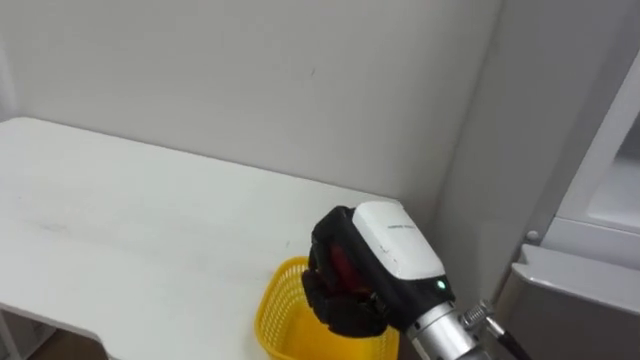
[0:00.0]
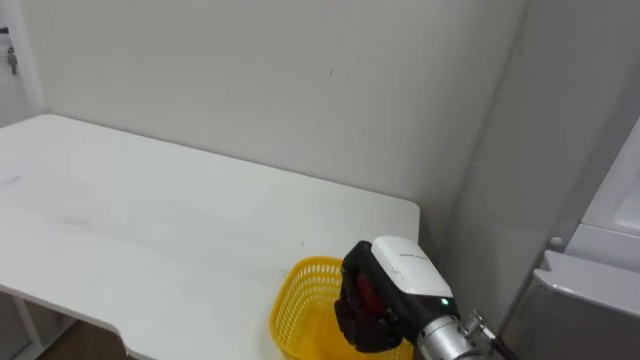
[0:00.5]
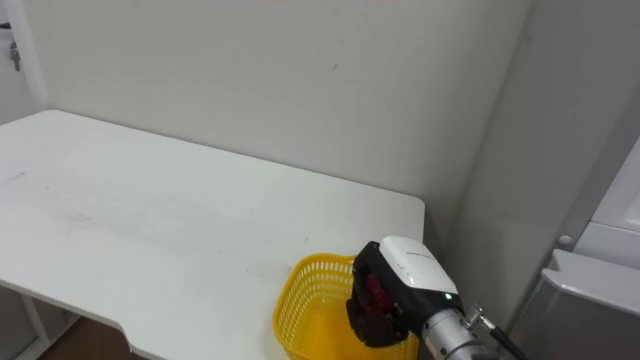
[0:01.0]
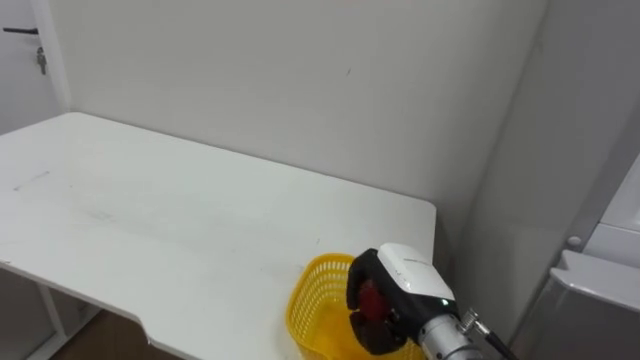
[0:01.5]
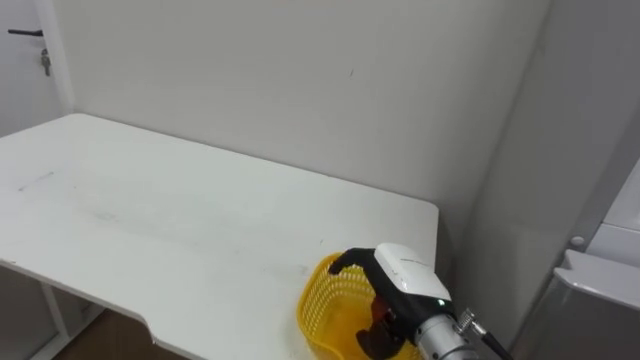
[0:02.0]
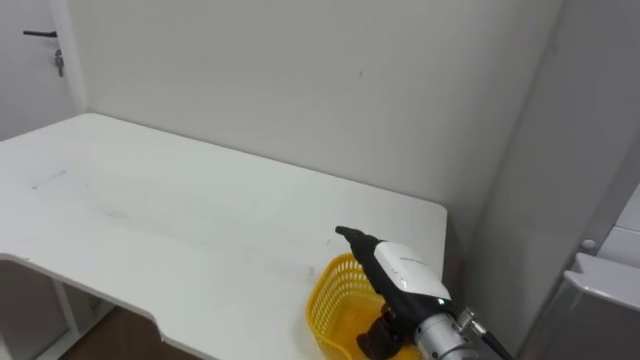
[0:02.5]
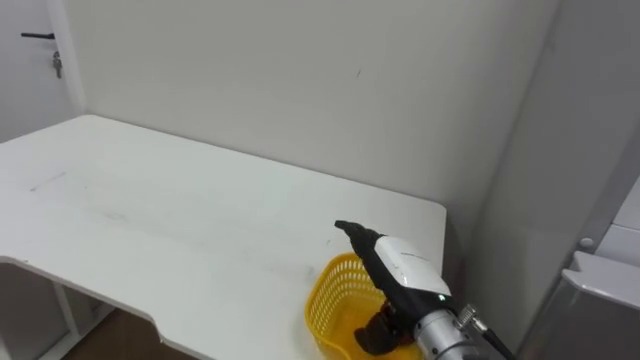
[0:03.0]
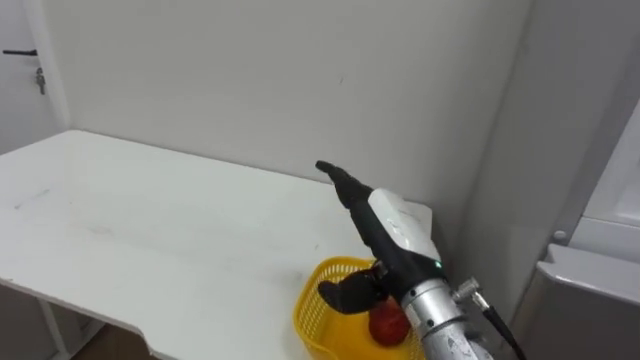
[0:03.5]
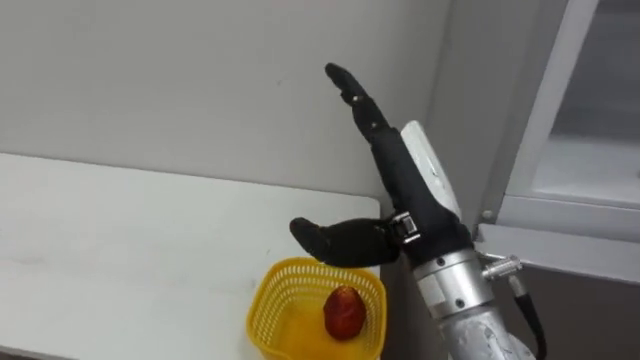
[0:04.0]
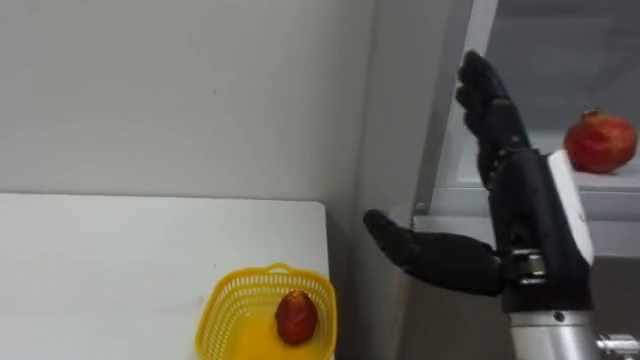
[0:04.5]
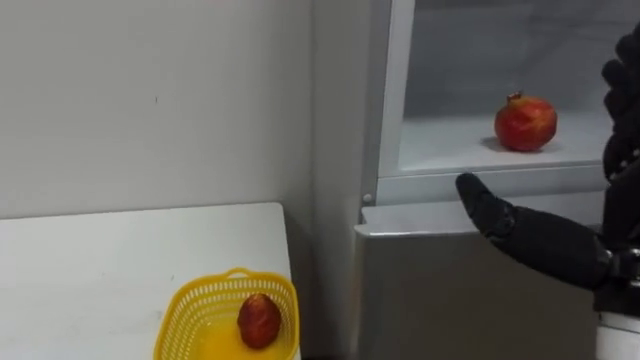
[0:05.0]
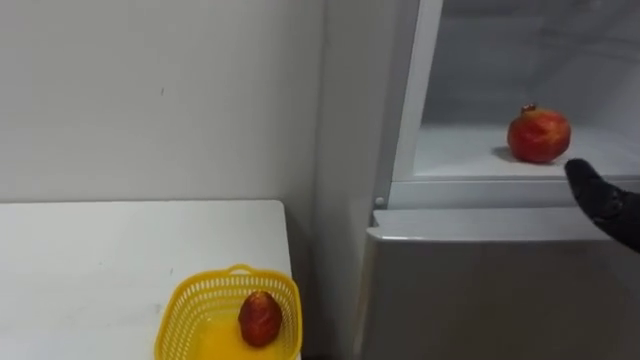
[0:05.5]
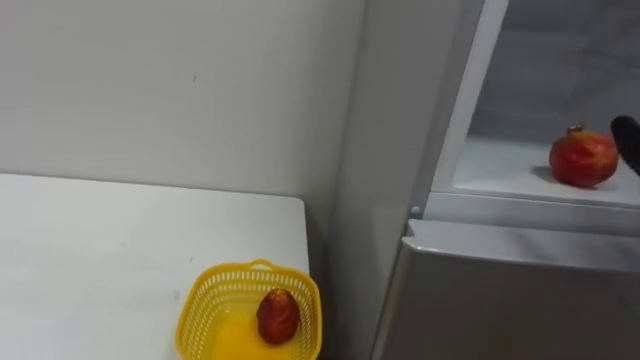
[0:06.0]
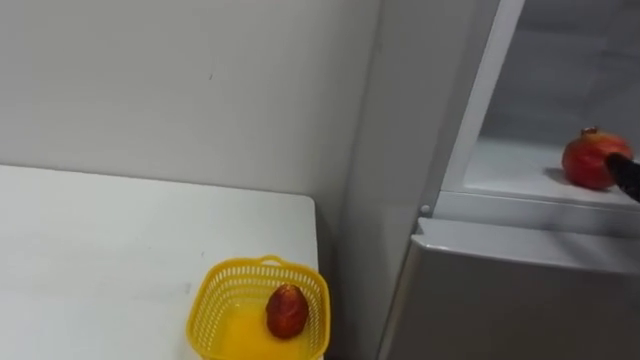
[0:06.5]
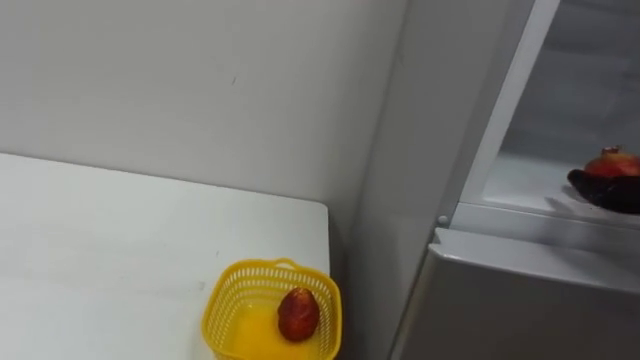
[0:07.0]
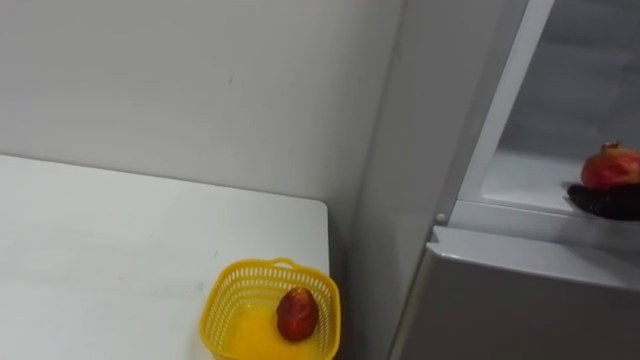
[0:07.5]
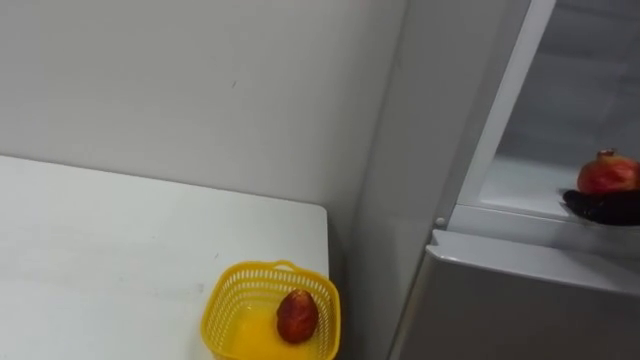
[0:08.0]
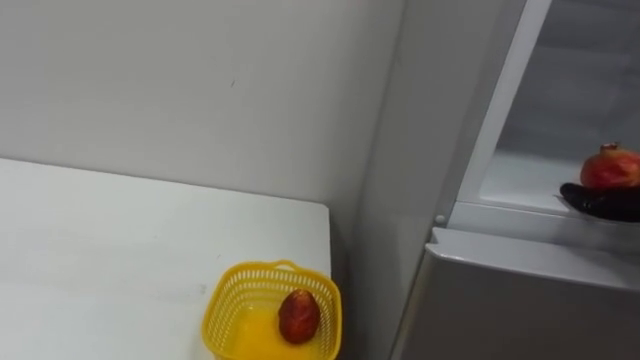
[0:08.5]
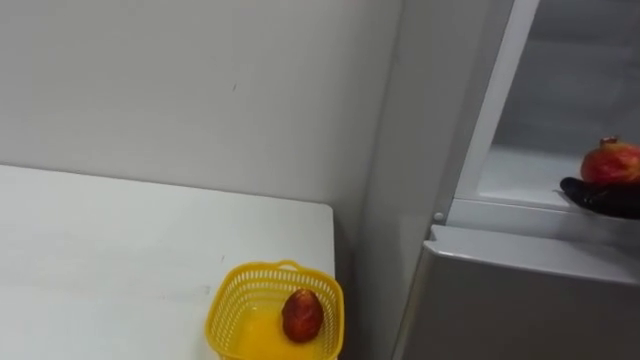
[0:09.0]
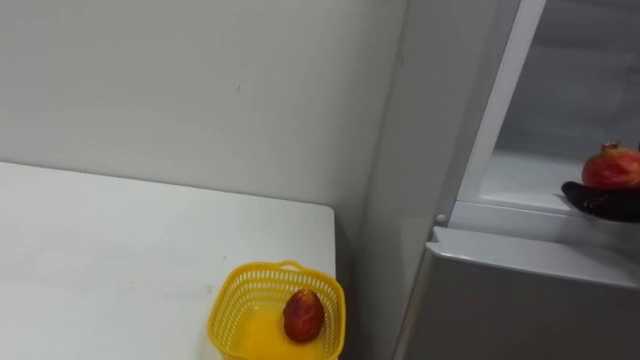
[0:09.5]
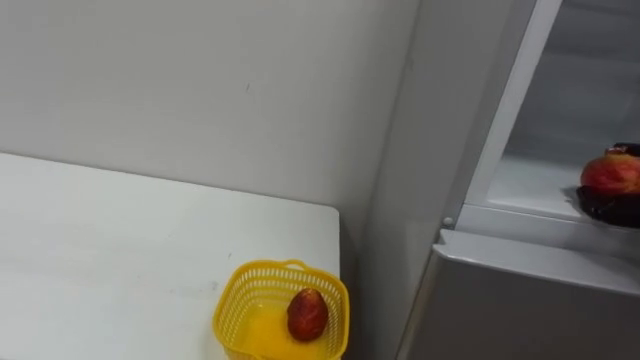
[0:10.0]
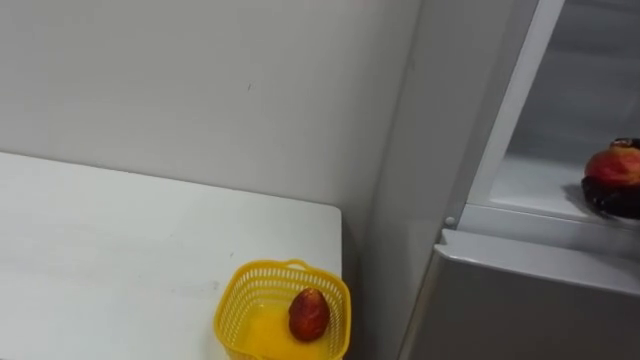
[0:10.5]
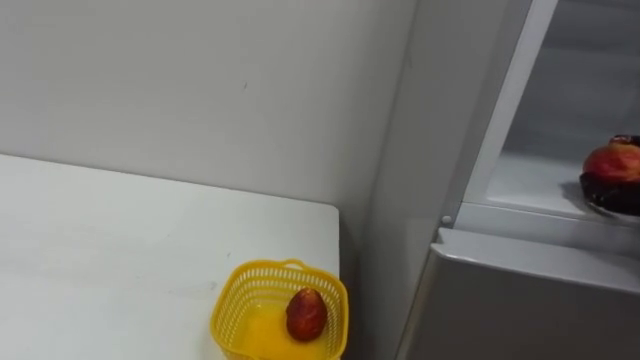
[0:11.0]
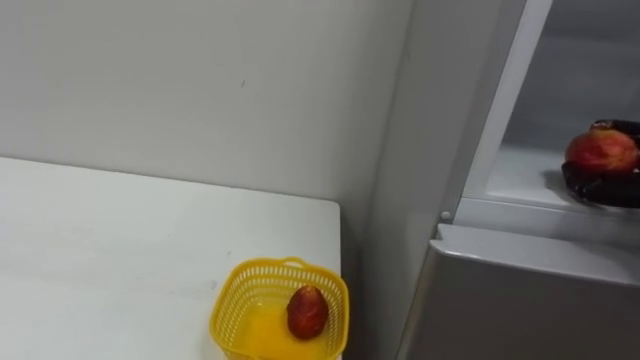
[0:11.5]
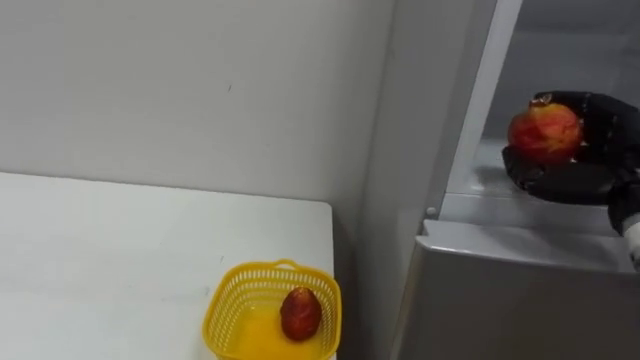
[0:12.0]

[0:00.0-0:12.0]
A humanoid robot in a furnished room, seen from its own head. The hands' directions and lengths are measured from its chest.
Task of the whole recording: Open the refrigerator door, take out the apple and the pomegranate, place them in the fruit basket on the left, and close the refrigerator door.
0:00.0 to 0:02.0: The right hand goes roughly 10 cm downward and forward, and opens up.
0:02.0 to 0:04.0: The right hand is displaced upward by some 15 cm.

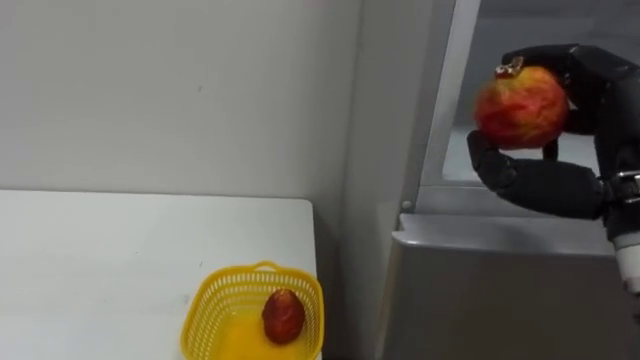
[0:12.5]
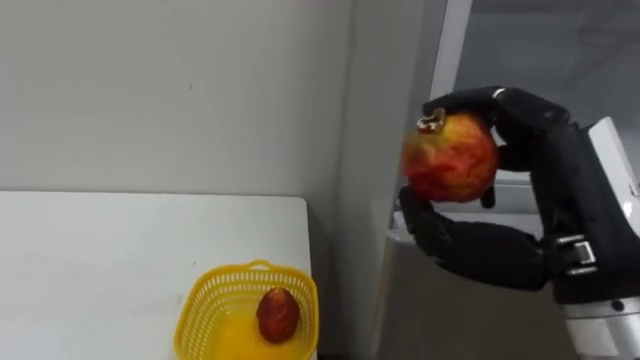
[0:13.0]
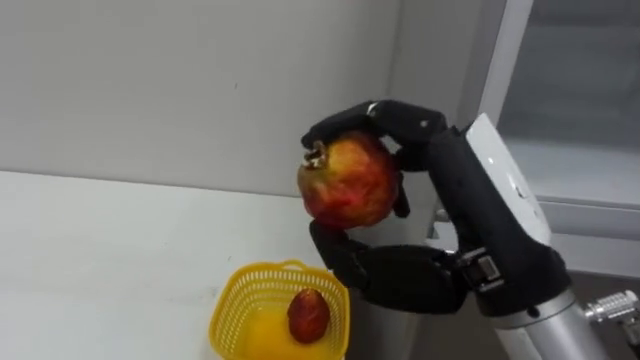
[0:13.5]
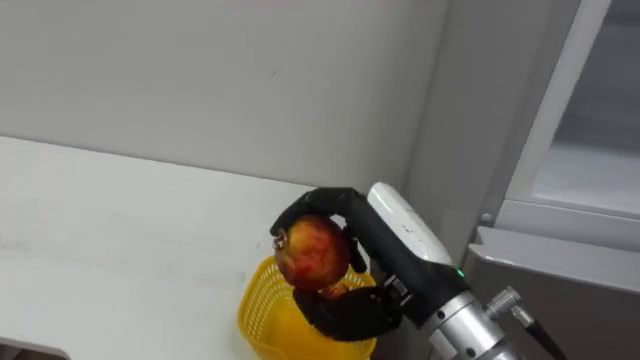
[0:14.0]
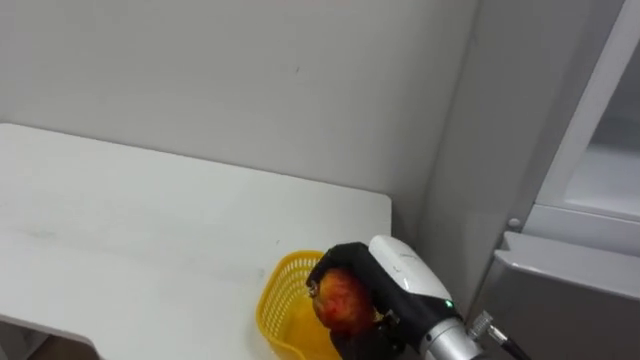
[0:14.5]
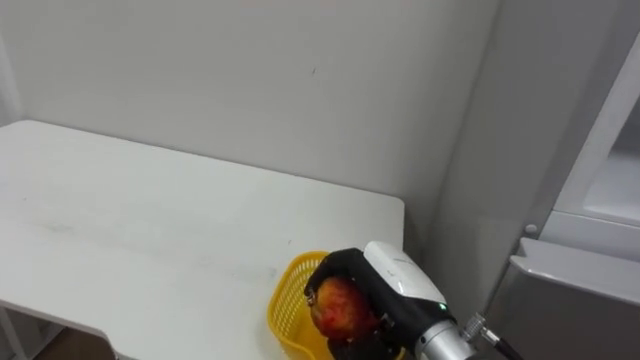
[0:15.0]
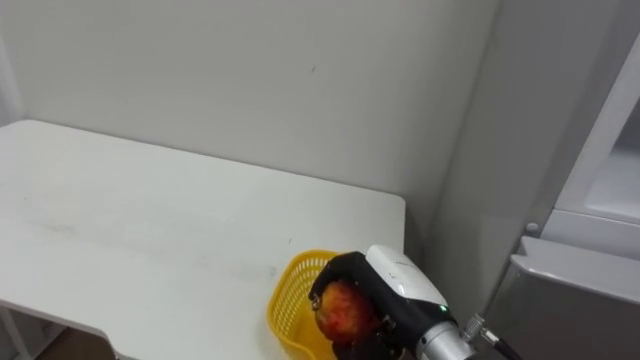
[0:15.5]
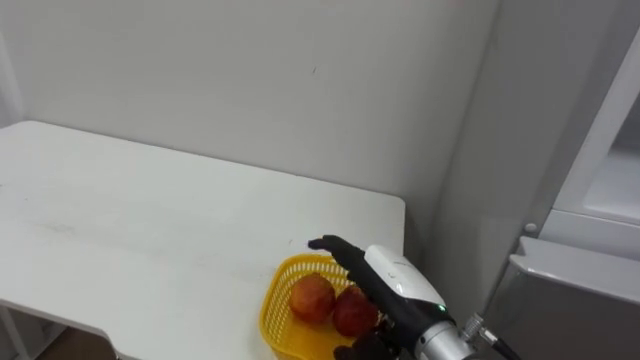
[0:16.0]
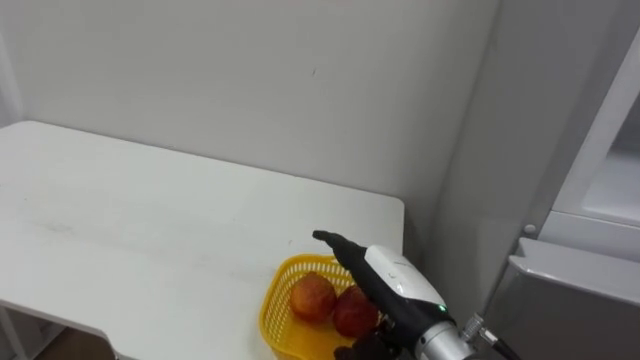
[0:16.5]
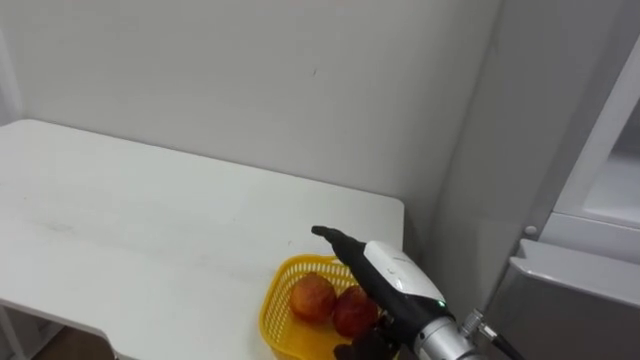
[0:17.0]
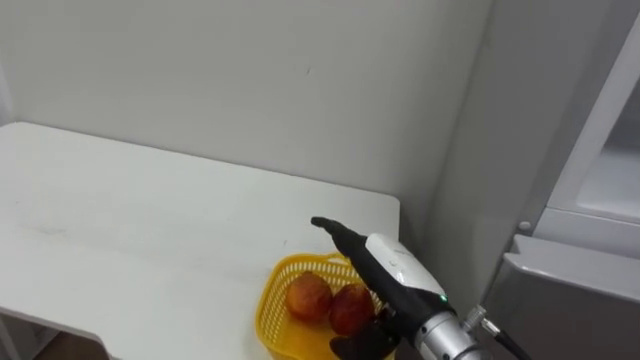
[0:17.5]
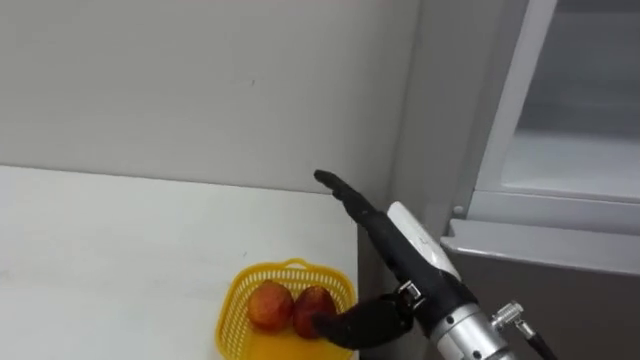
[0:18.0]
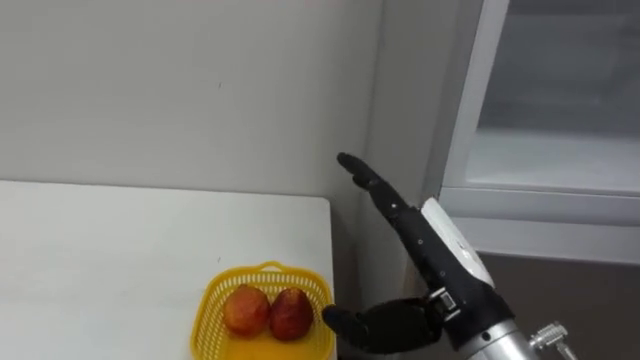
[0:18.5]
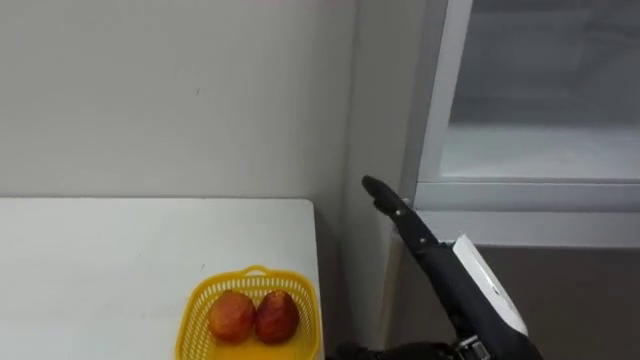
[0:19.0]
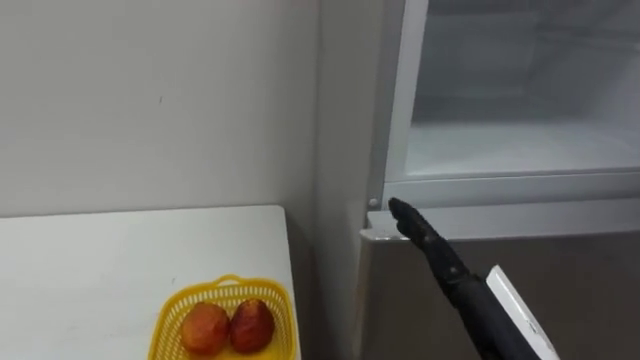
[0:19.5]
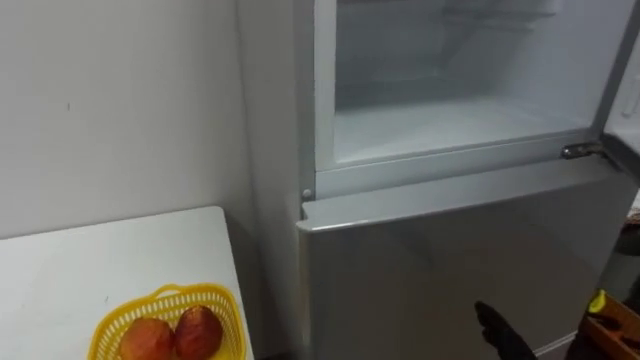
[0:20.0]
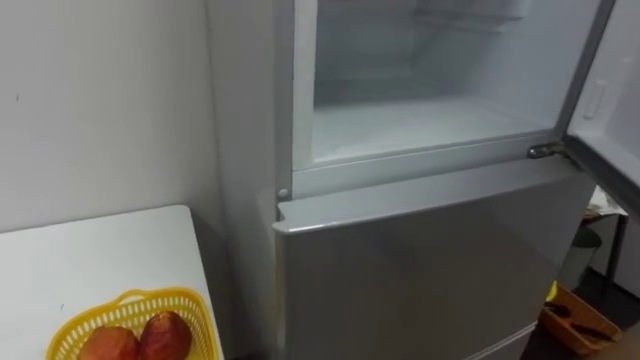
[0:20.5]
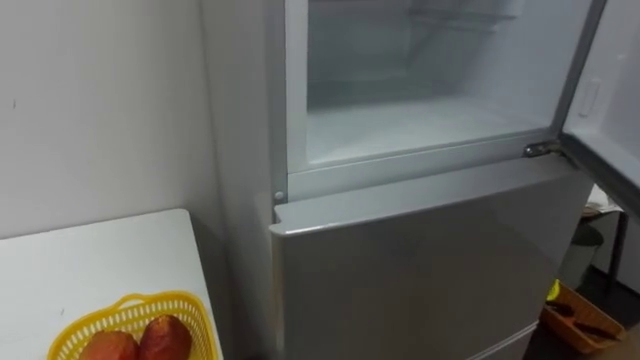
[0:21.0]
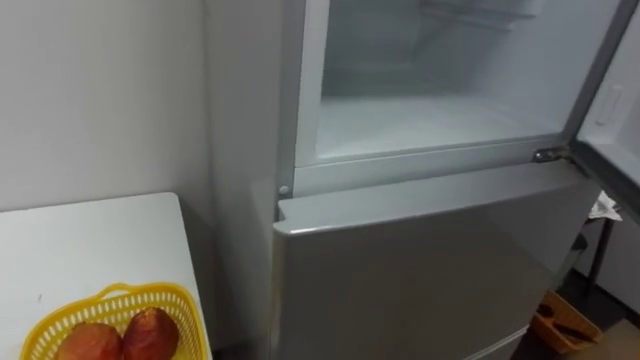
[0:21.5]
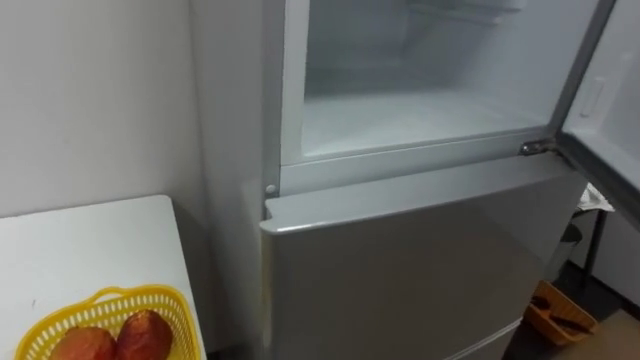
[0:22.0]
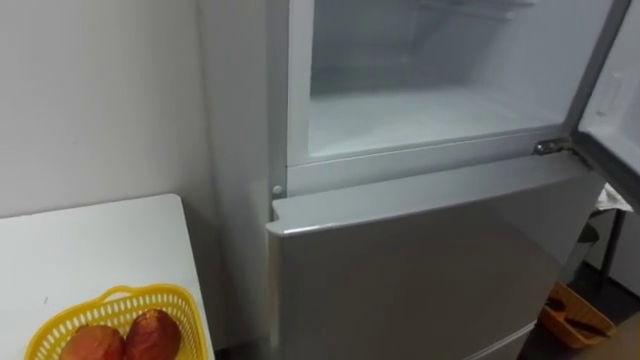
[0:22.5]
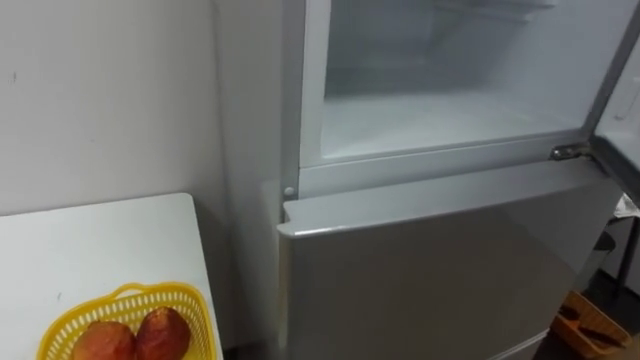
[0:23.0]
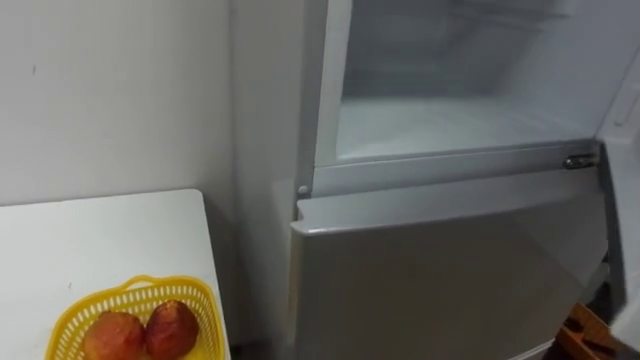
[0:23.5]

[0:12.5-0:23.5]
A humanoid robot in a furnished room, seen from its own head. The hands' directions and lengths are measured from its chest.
Task of the whole recording: Open the refrigerator door, take out the apple and the pomegranate, place them in the fruit basket on the left, and close the refrigerator door.
0:12.5 to 0:14.5: The right hand travels to the left and downward by approximately 20 cm.
0:14.5 to 0:16.0: The right hand opens up.
0:16.0 to 0:18.0: The right hand heads upward, covering about 5 cm.
